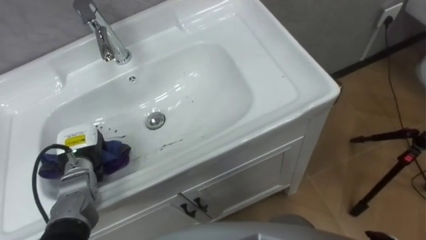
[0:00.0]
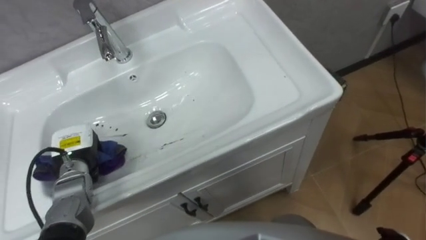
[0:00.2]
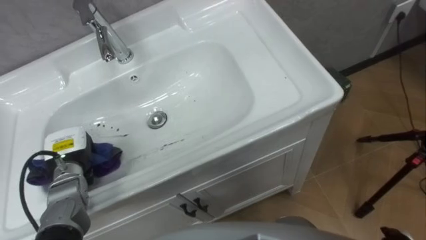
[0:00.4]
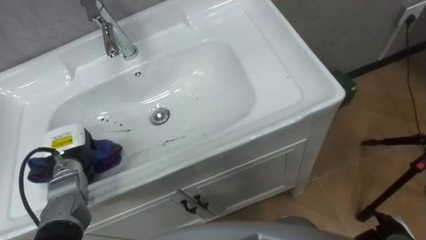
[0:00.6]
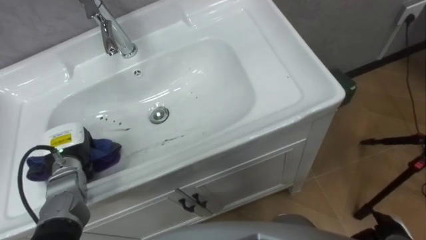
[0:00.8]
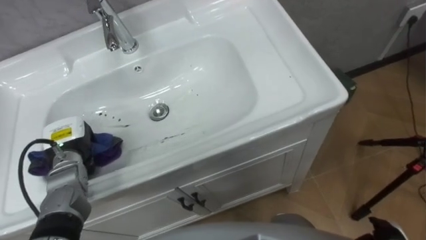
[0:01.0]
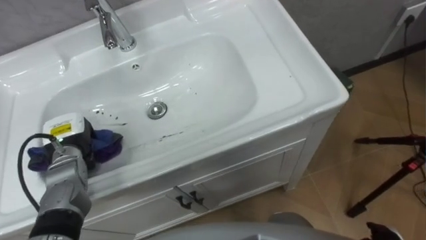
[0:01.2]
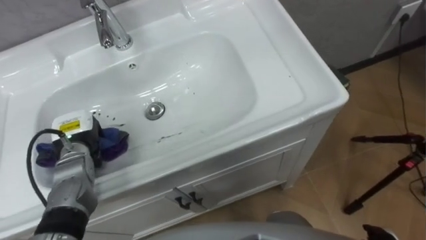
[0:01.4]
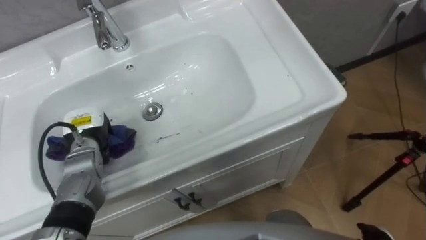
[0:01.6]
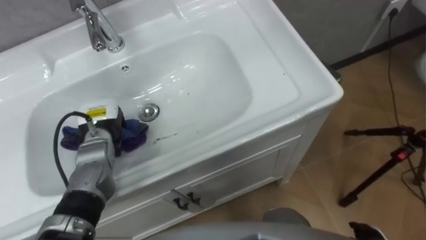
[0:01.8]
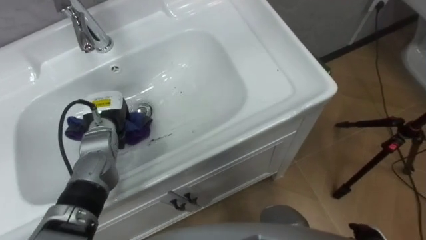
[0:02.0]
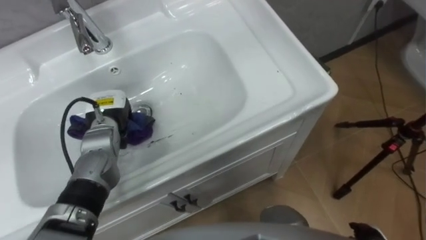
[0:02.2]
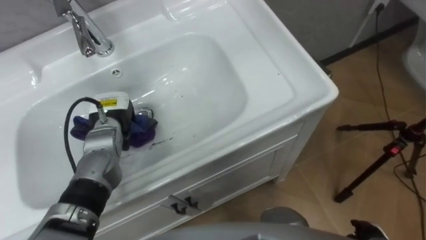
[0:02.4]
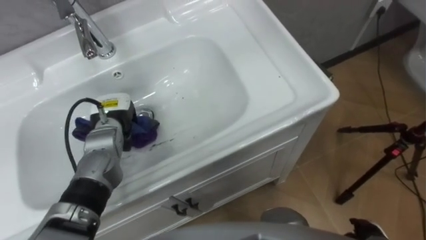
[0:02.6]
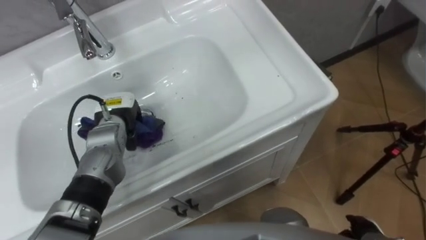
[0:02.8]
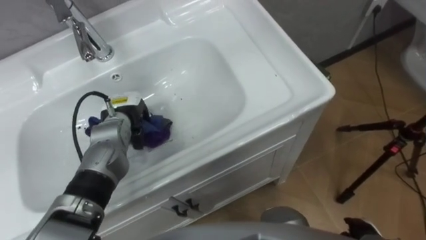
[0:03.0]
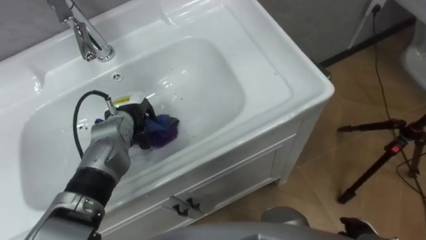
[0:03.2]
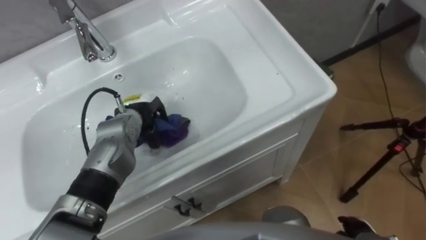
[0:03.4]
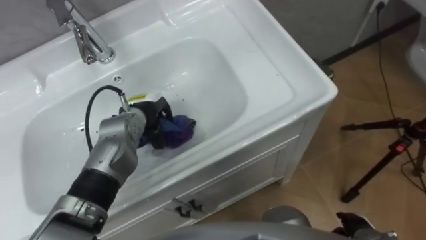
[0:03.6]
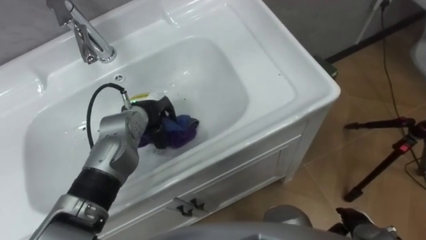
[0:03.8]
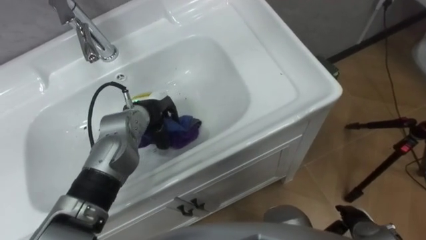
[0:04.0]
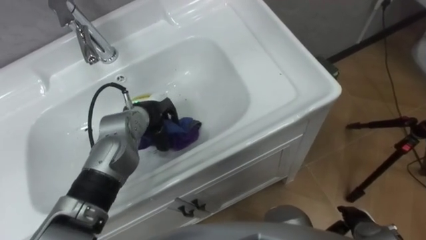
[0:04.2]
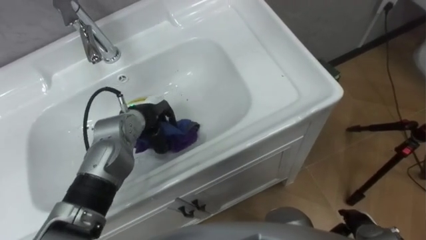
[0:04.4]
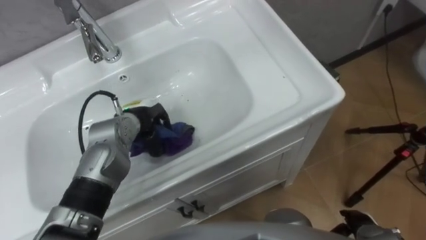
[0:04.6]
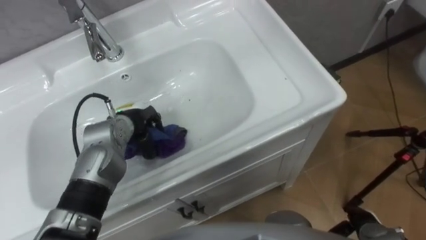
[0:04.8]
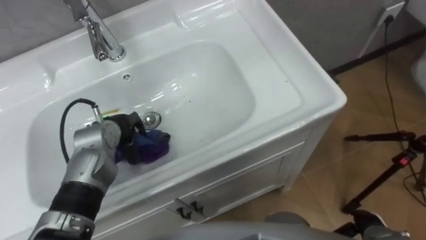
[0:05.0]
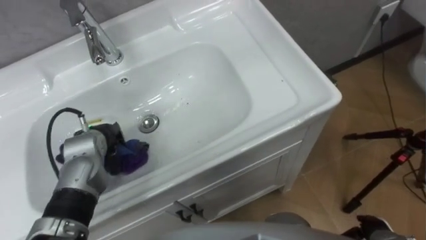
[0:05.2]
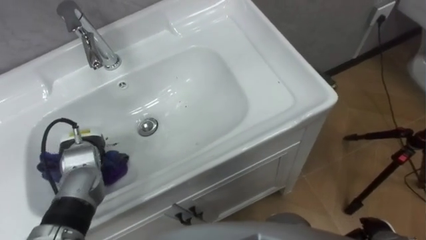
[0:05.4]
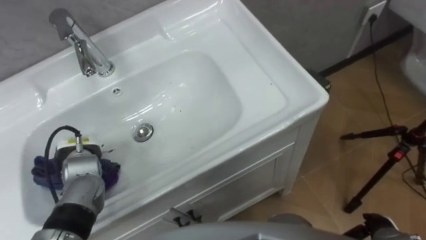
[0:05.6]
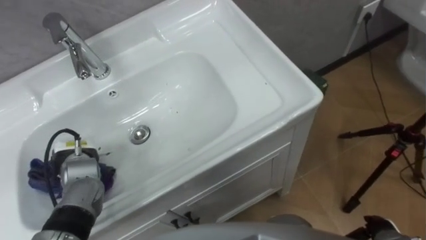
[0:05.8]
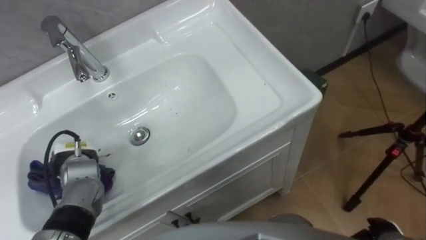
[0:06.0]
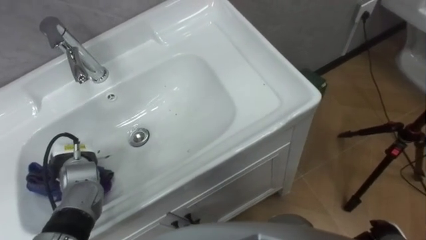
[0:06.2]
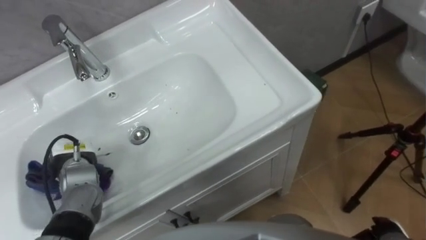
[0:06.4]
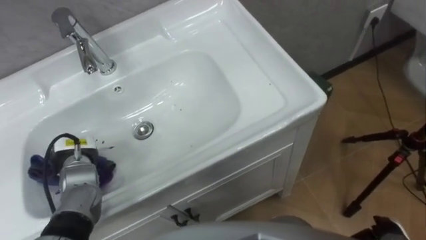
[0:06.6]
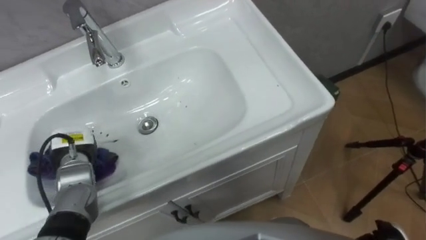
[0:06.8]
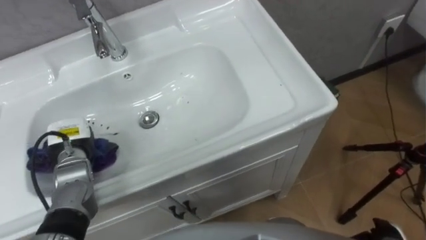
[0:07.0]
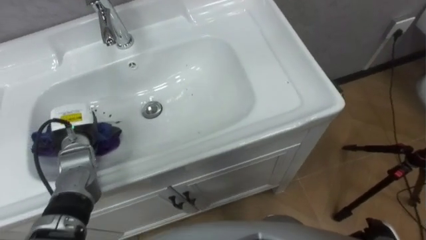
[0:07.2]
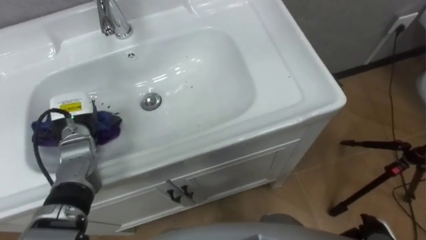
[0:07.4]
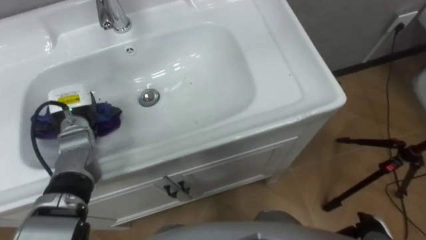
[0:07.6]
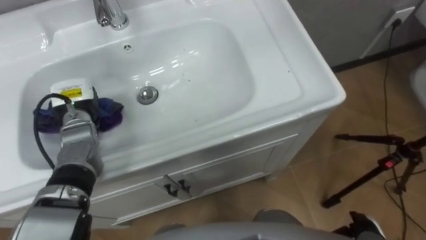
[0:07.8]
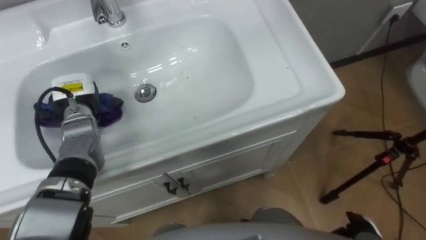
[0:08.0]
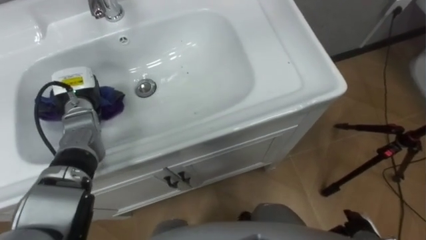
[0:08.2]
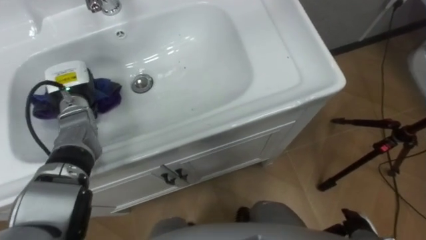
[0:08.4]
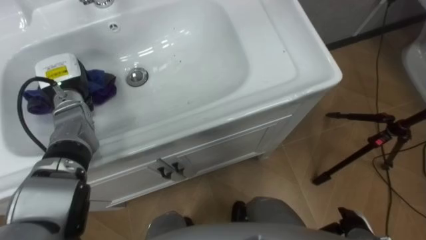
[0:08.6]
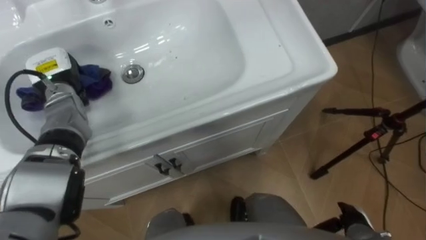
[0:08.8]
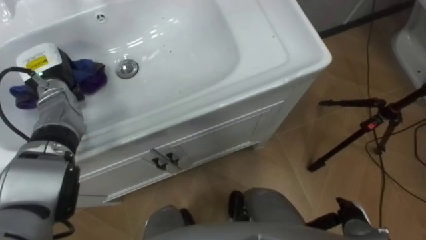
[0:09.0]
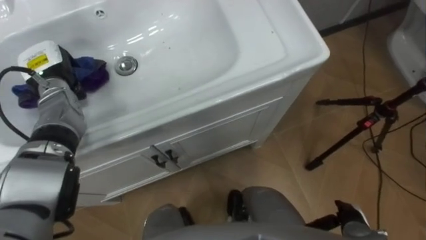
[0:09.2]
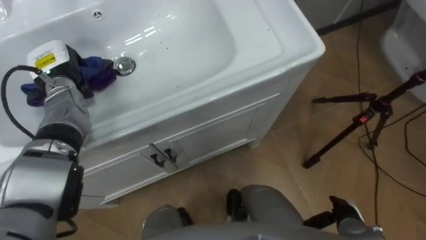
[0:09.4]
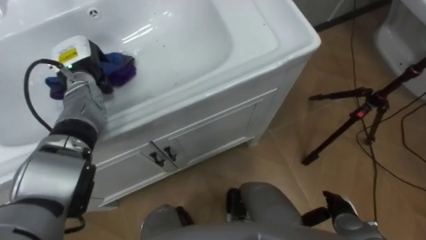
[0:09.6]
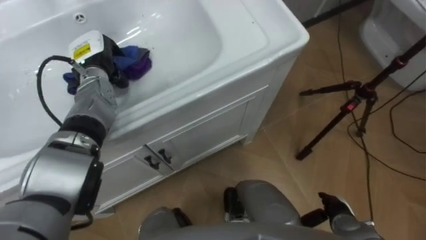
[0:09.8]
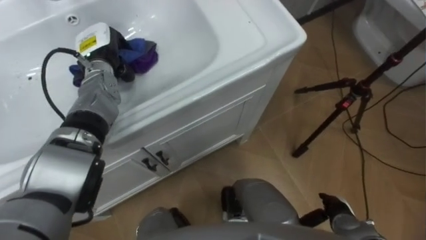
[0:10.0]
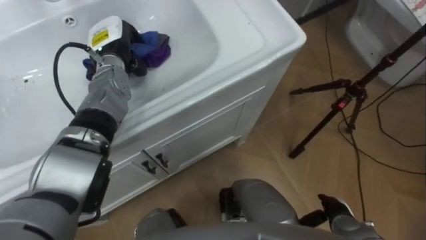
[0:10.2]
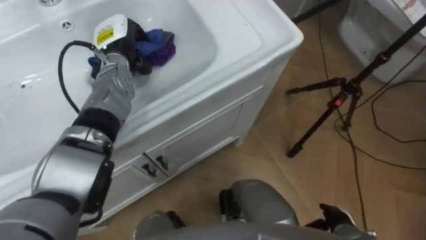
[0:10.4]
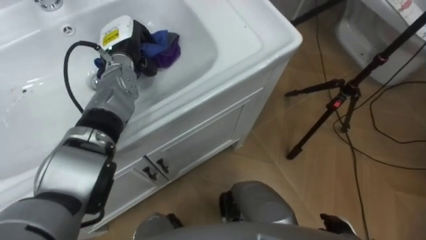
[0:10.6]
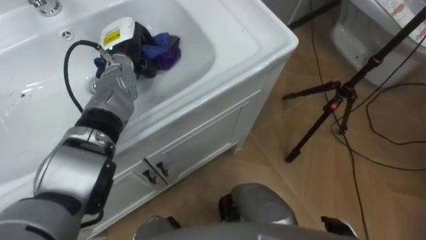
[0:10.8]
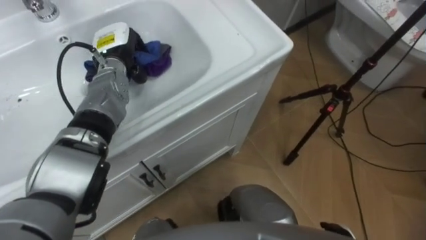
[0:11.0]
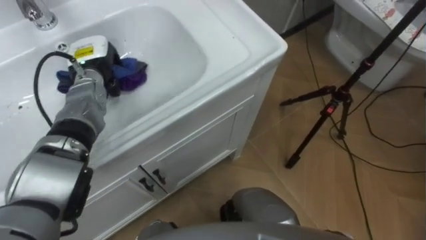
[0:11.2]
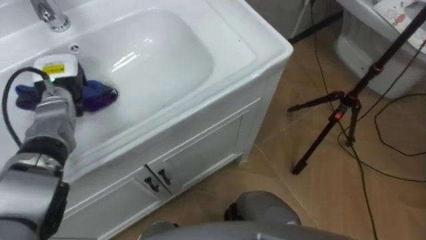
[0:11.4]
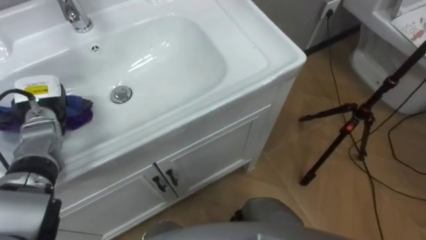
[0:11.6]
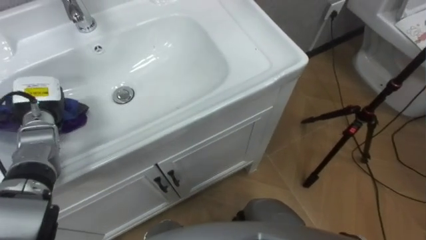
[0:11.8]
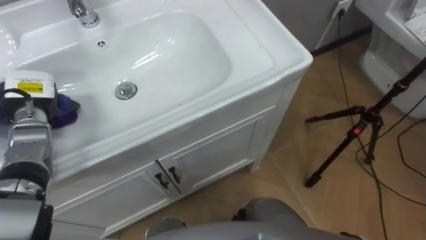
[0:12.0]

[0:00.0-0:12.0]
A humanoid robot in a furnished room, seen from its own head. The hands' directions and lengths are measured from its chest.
Task of the whole recording: Use the cloth on the right to wipe away the black stain in the sink.
0:00.0 to 0:01.6: The left hand changes place by roughly 5 cm.
0:01.6 to 0:03.0: The left hand travels to the right by approximately 10 cm.
0:04.4 to 0:06.0: The left hand shifts approximately 15 cm to the left and backward.
0:06.0 to 0:07.6: The left hand travels forward and upward by approximately 10 cm.
0:07.6 to 0:09.0: The left hand moves upward and forward, approximately 10 cm.
0:09.0 to 0:10.4: The left hand shifts some 15 cm to the right.
0:10.4 to 0:12.0: The left hand goes about 20 cm to the left and backward.

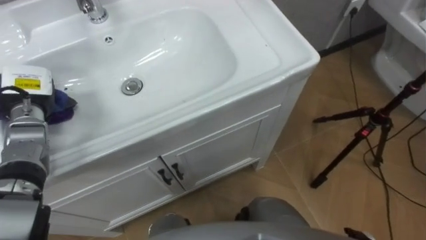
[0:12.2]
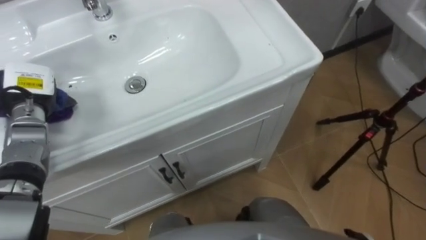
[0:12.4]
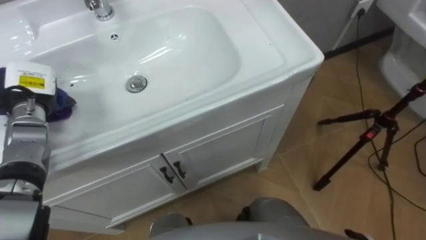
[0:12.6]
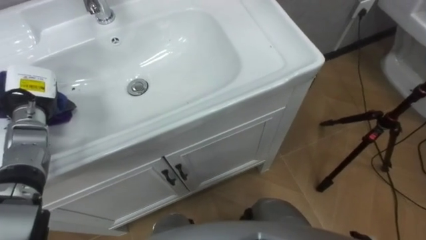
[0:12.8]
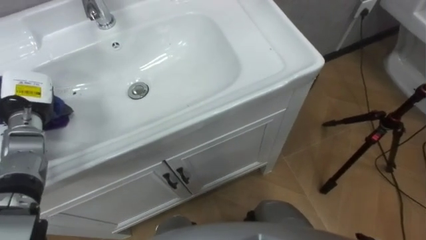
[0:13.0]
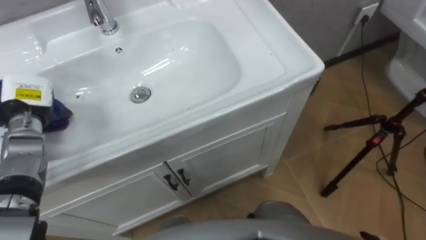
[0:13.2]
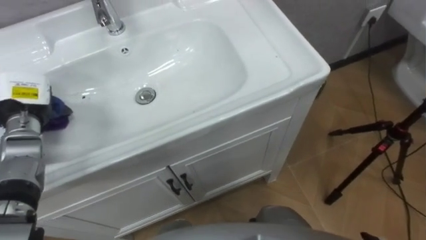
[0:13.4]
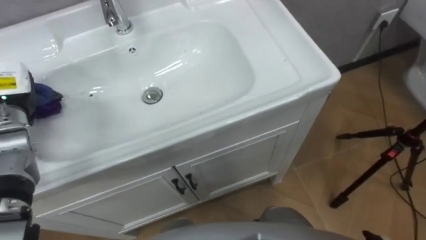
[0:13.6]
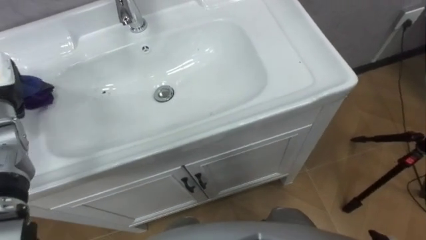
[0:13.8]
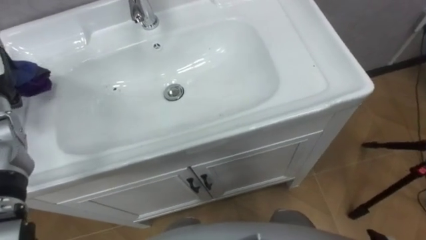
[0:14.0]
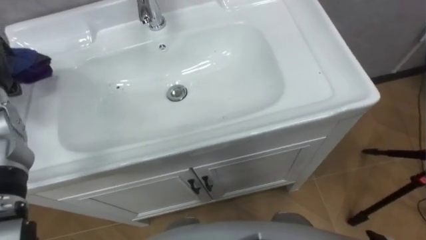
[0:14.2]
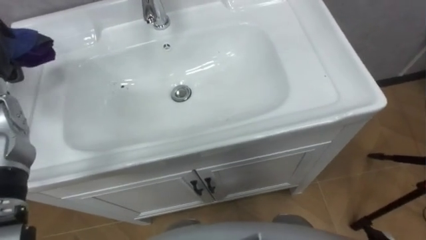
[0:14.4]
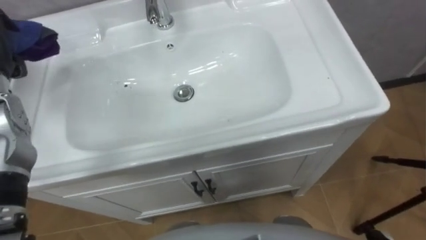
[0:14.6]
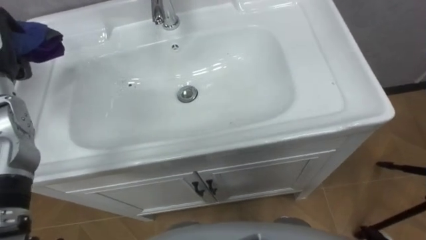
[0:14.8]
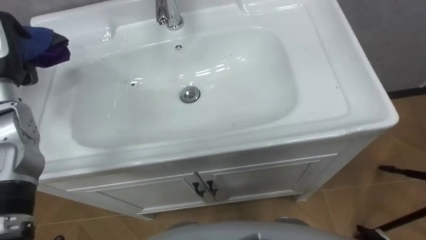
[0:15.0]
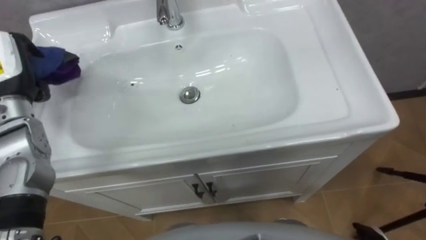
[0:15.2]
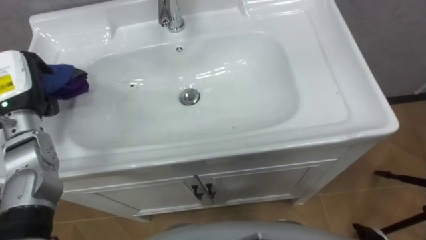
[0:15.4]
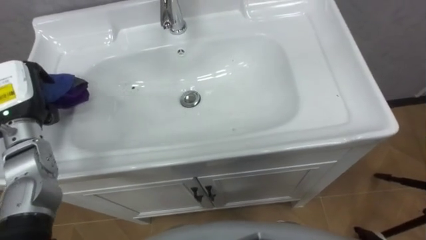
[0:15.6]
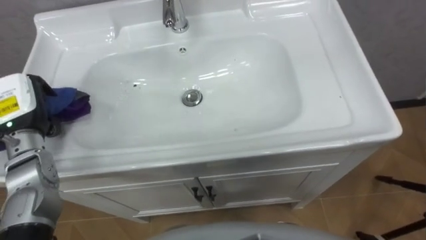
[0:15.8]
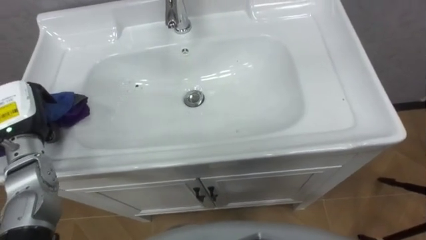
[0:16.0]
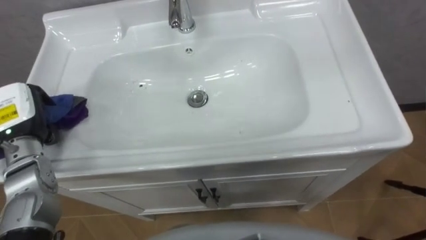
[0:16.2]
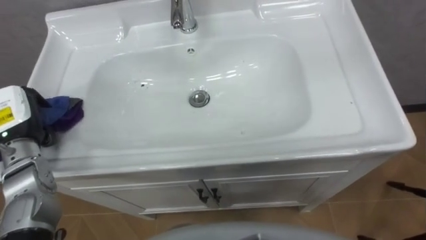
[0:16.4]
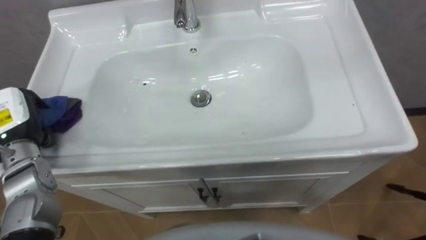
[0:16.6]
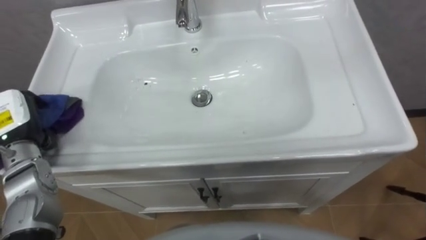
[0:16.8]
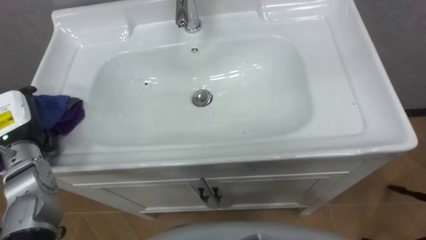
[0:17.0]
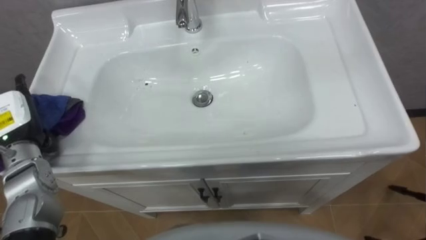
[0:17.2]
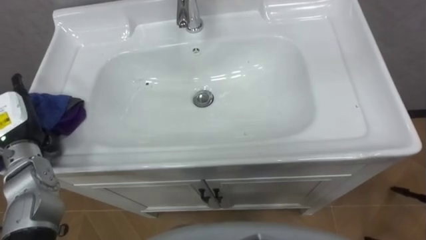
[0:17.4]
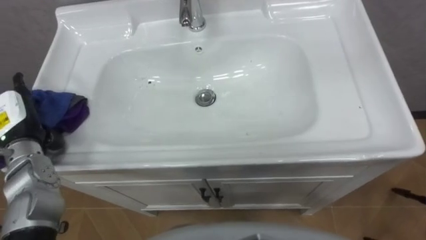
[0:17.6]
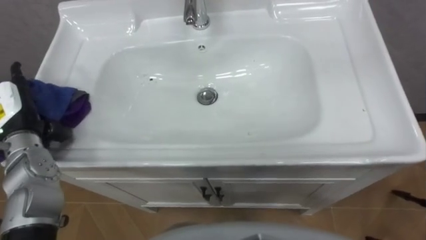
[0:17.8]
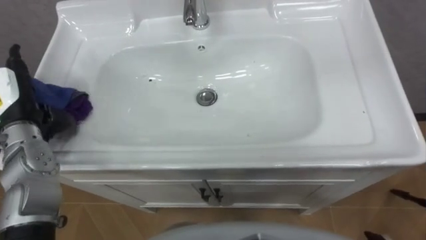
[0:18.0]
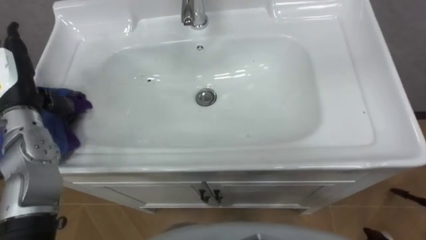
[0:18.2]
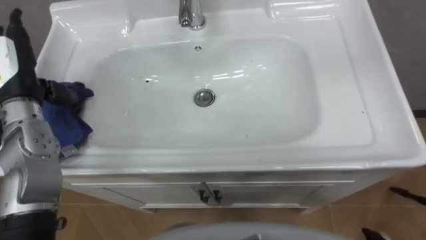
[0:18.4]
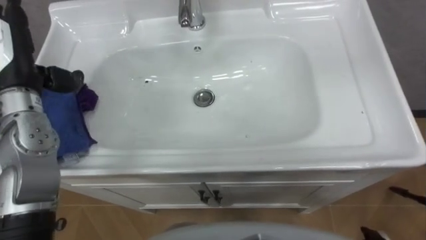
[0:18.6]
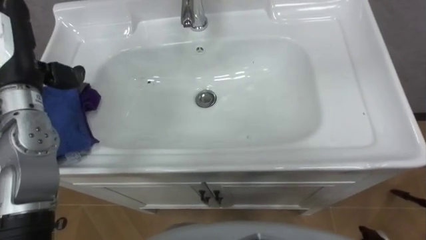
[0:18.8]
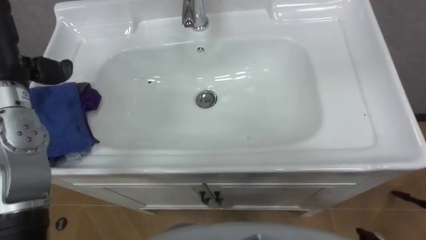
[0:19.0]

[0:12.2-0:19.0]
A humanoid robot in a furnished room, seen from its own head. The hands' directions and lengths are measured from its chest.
Task of the whole recording: Use the cloth on the right to wipe away the black stain in the sink.
0:16.2 to 0:17.6: The left hand opens up.
